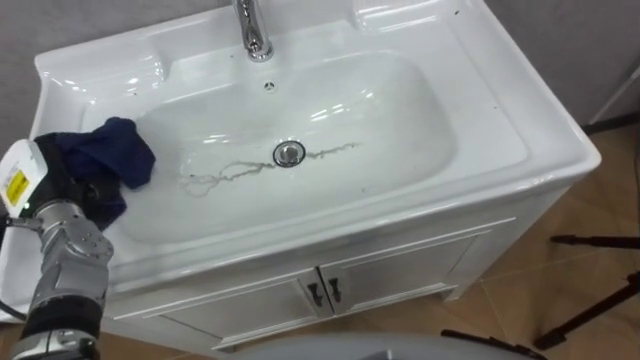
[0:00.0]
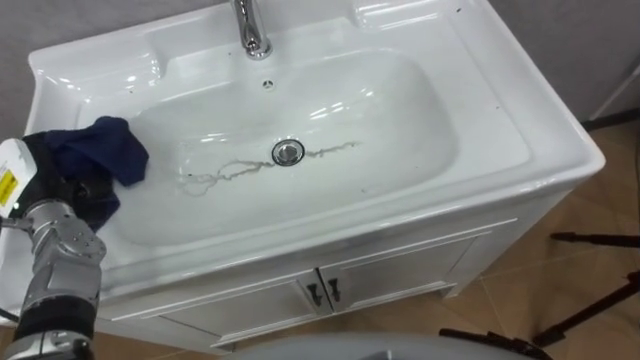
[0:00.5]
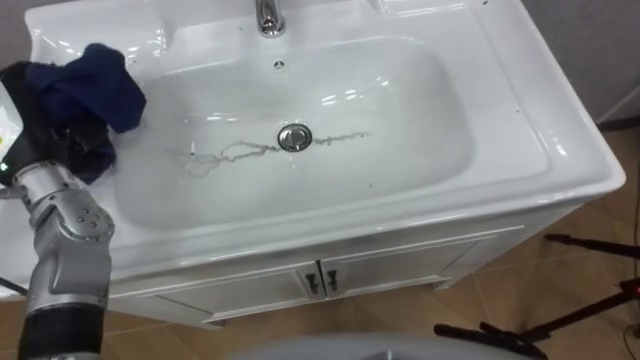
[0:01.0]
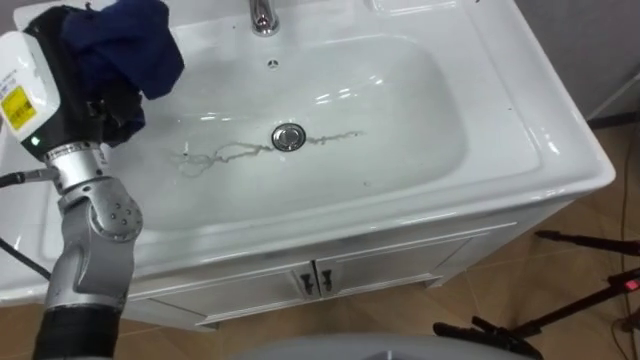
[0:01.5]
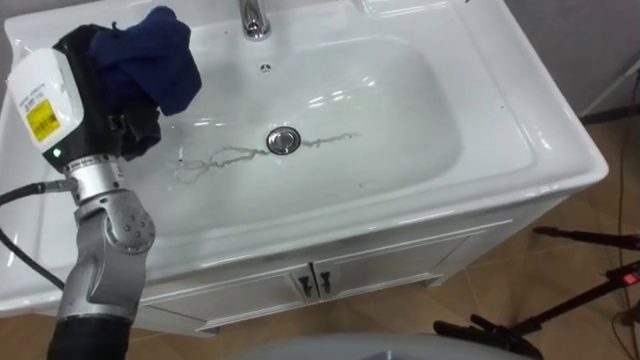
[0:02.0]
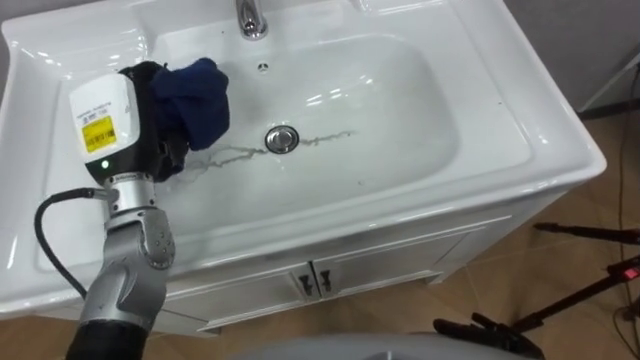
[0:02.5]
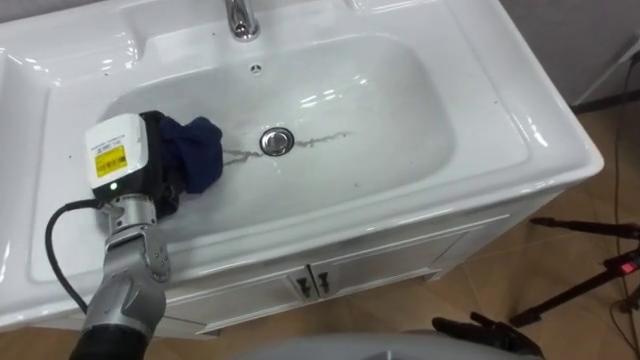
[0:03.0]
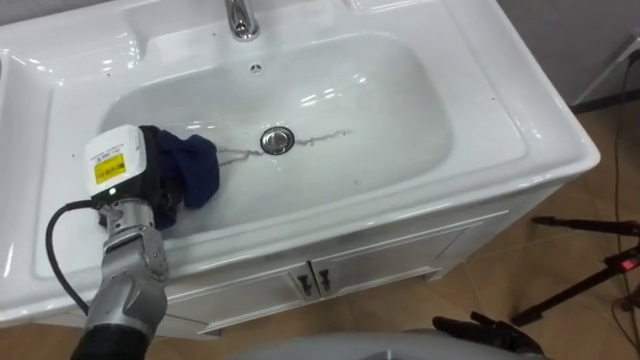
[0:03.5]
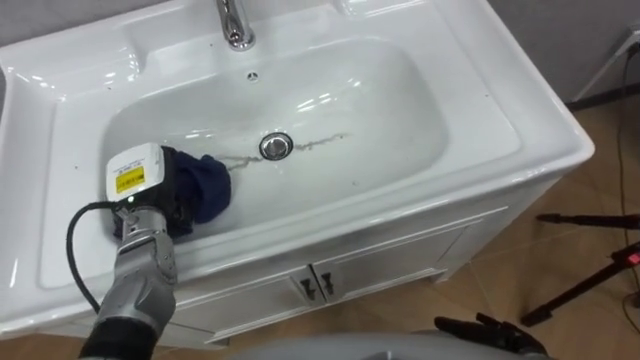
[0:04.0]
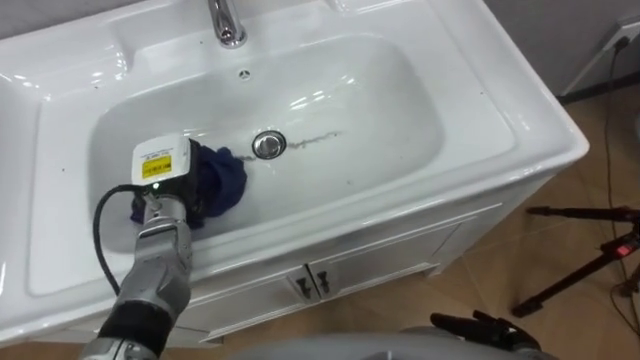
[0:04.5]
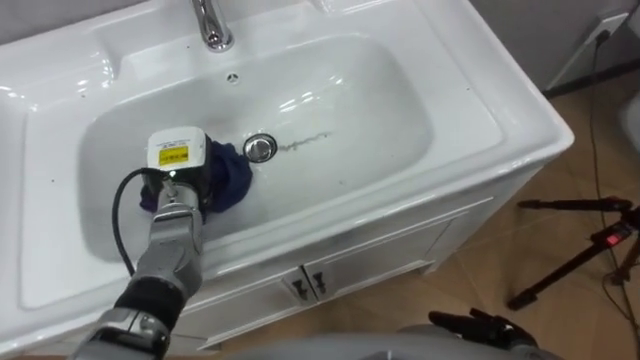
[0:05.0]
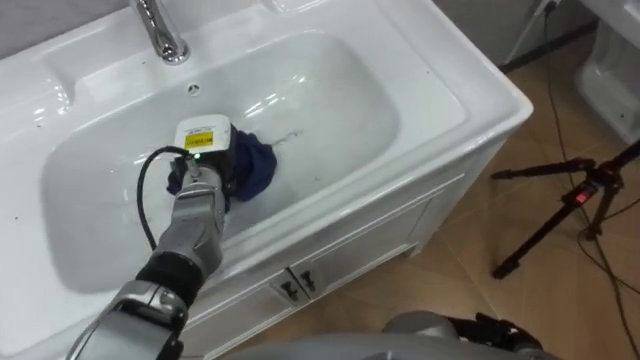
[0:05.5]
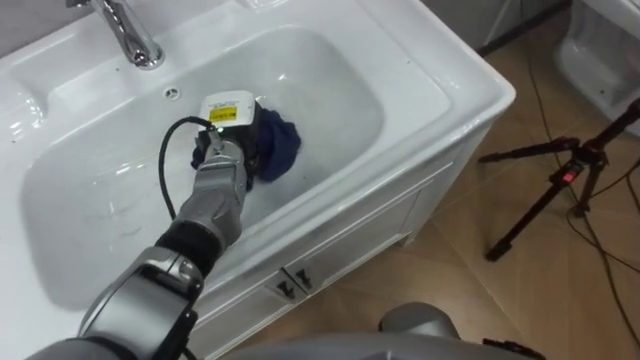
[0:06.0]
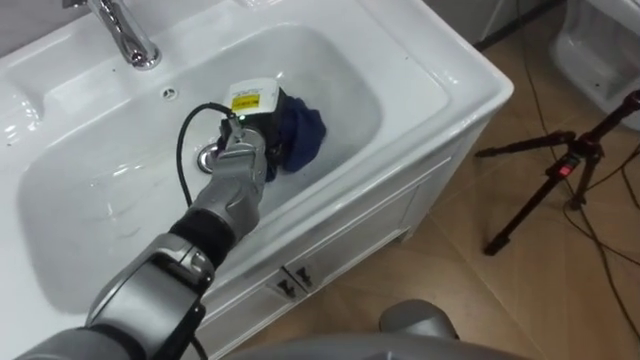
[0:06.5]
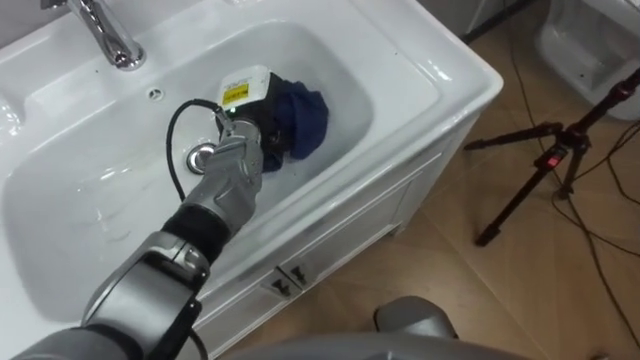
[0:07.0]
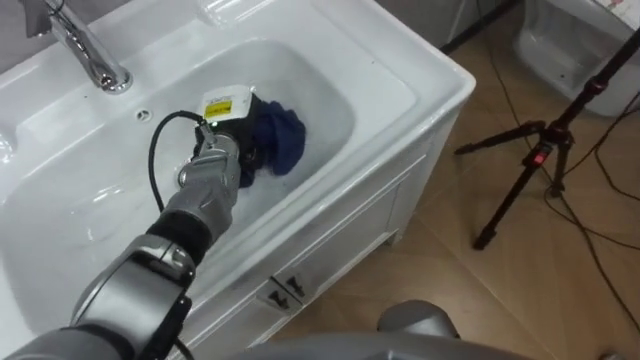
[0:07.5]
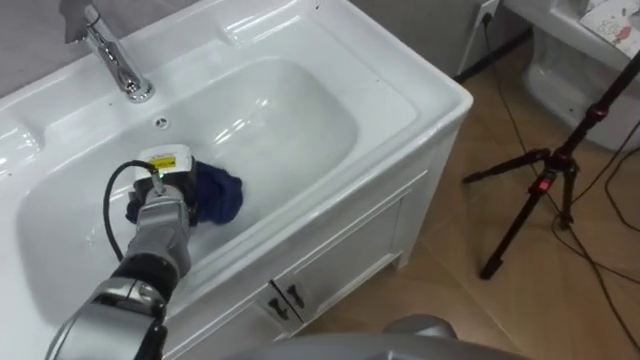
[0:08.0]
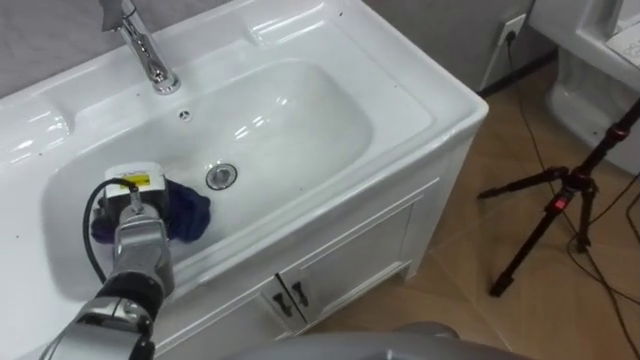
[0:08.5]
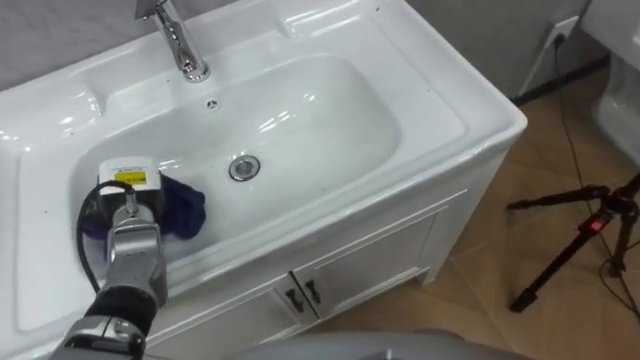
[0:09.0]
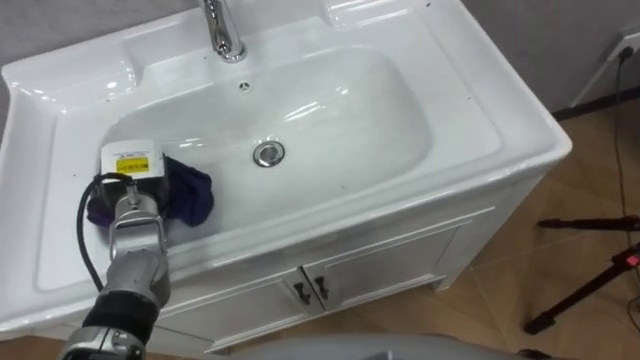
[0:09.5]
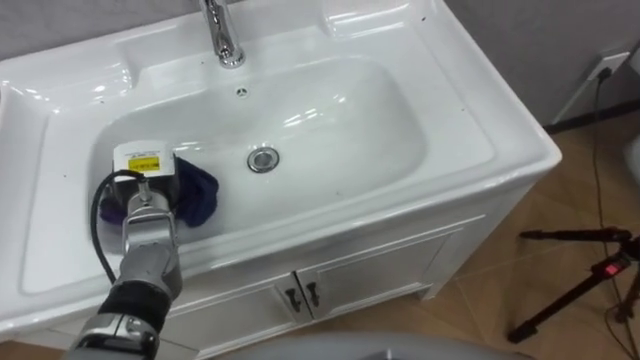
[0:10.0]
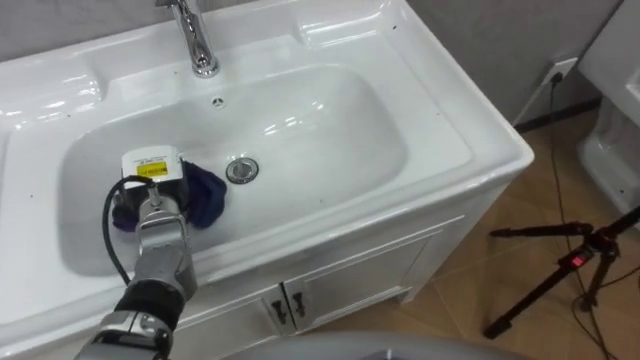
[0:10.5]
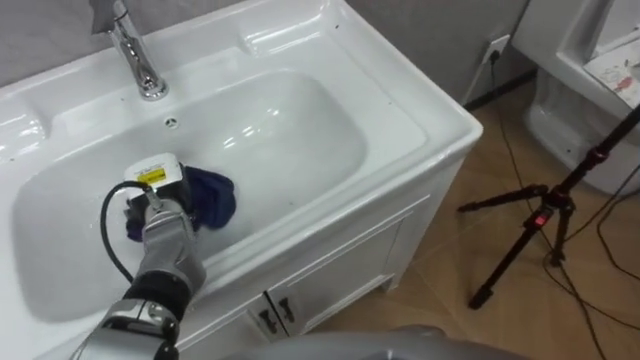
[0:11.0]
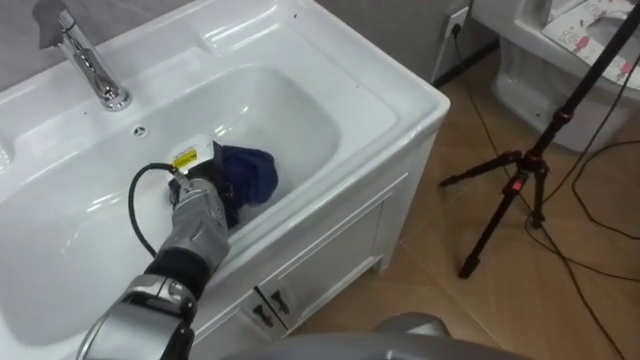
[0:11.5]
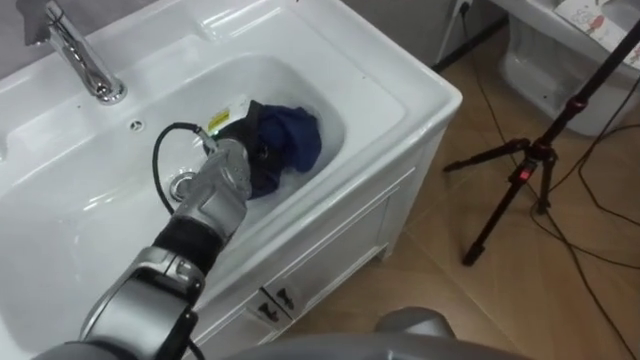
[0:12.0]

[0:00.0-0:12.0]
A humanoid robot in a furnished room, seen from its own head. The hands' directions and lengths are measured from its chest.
Task of the whole recording: Use the cloth on the right to wipe away the black stain in the sink.
0:00.0 to 0:02.0: The left hand moves upward and to the right, approximately 15 cm.
0:02.0 to 0:04.0: The left hand heads downward, covering some 15 cm.
0:04.0 to 0:06.0: The left hand is displaced to the right and forward by about 15 cm.
0:06.0 to 0:08.0: The left hand goes some 15 cm to the left, backward and downward.
0:10.0 to 0:12.0: The left hand travels to the right and forward by roughly 15 cm.

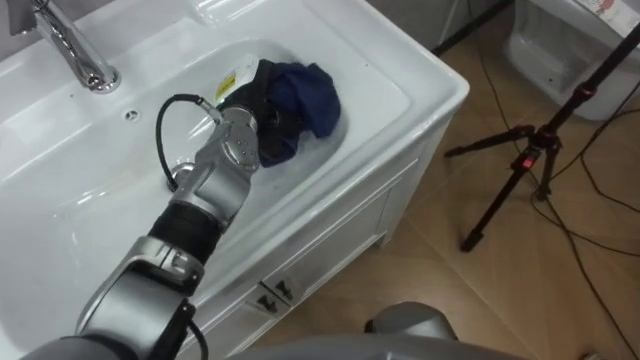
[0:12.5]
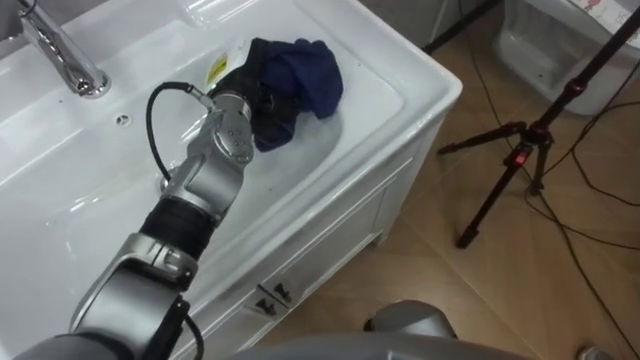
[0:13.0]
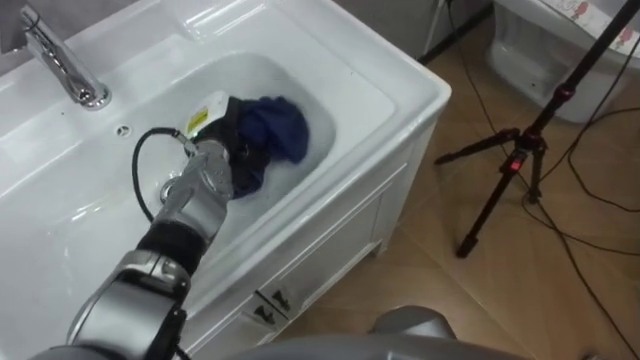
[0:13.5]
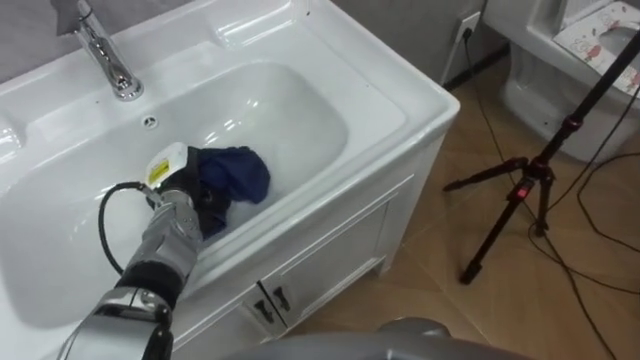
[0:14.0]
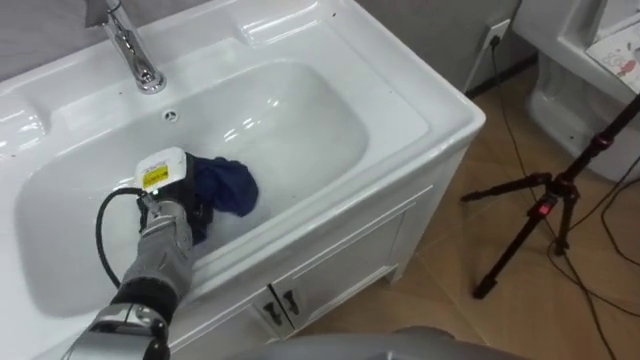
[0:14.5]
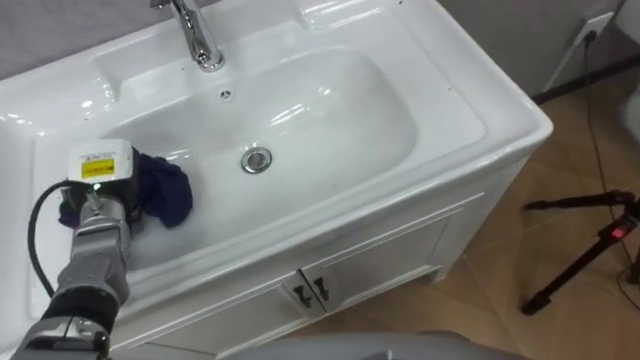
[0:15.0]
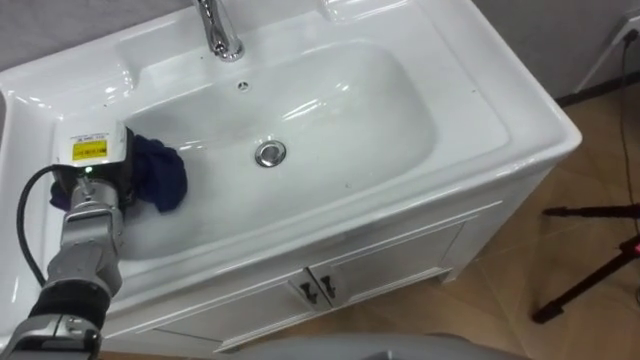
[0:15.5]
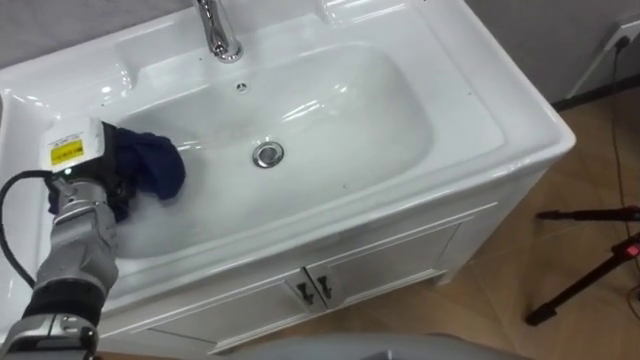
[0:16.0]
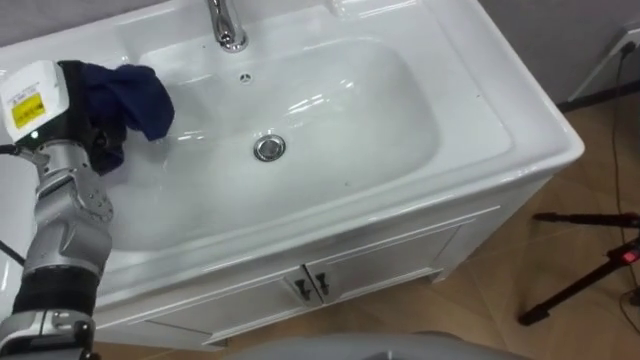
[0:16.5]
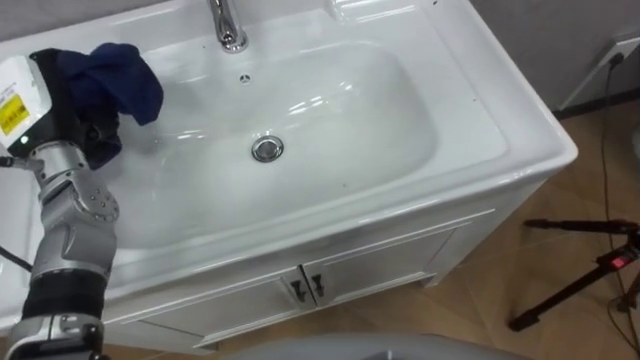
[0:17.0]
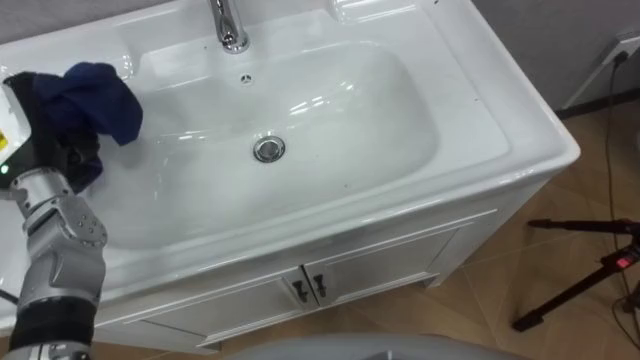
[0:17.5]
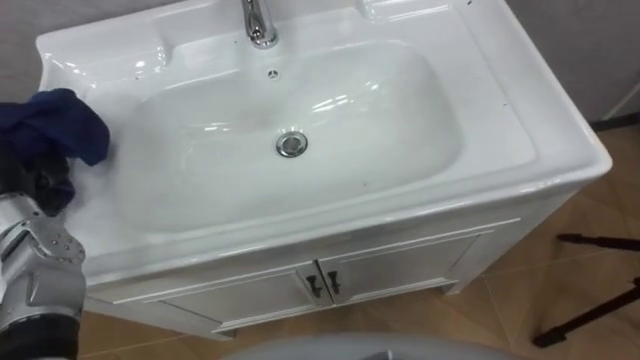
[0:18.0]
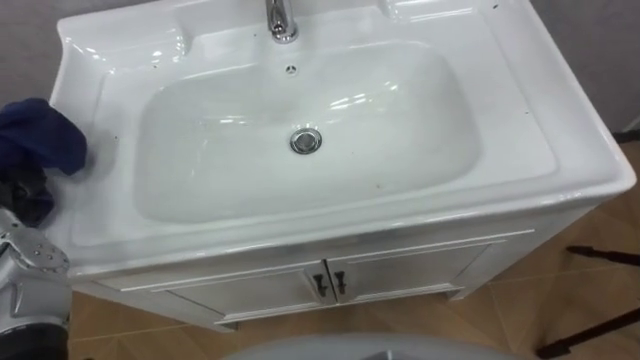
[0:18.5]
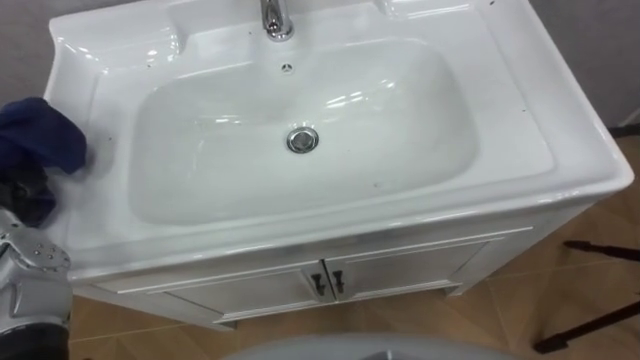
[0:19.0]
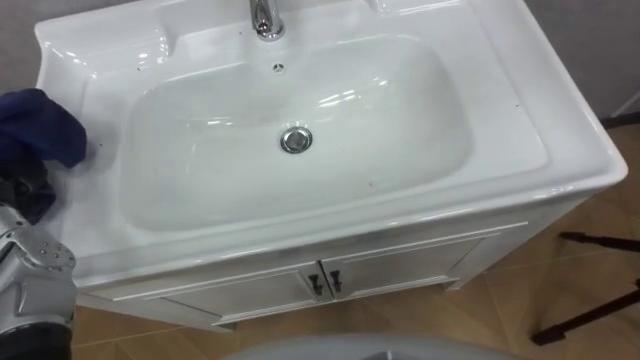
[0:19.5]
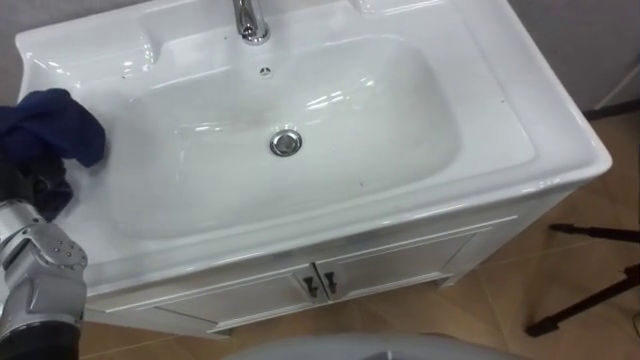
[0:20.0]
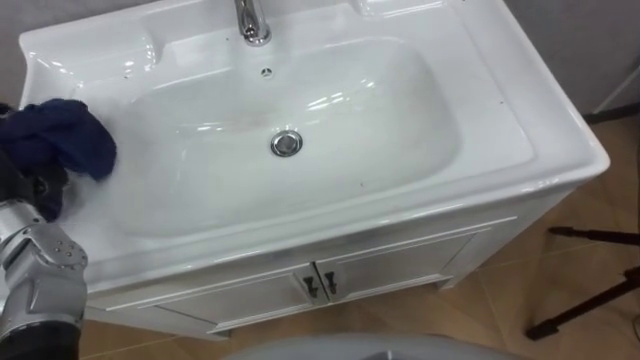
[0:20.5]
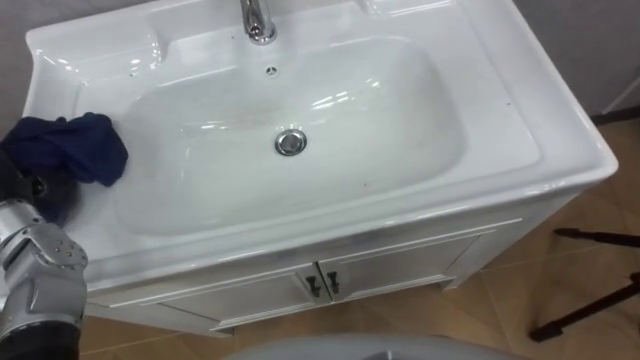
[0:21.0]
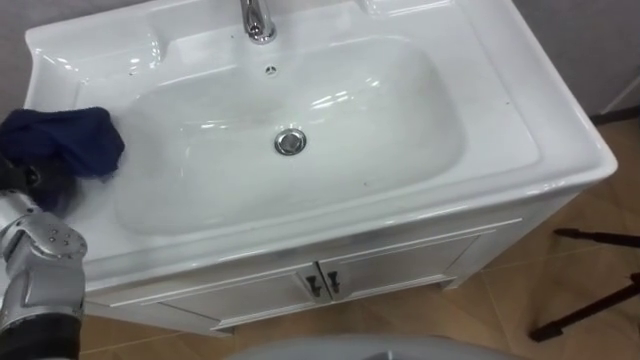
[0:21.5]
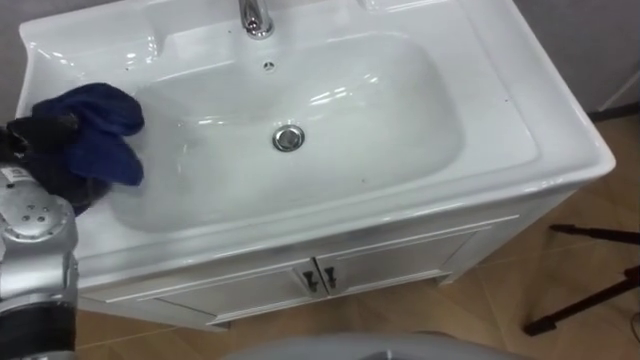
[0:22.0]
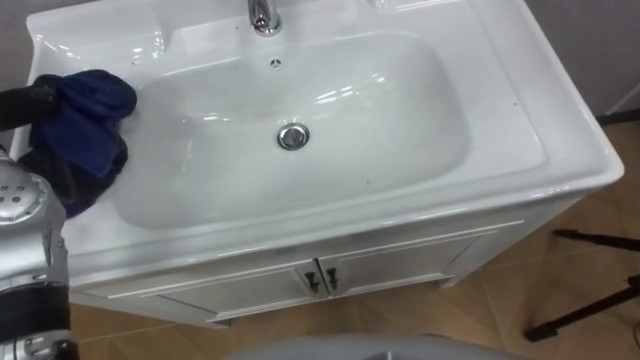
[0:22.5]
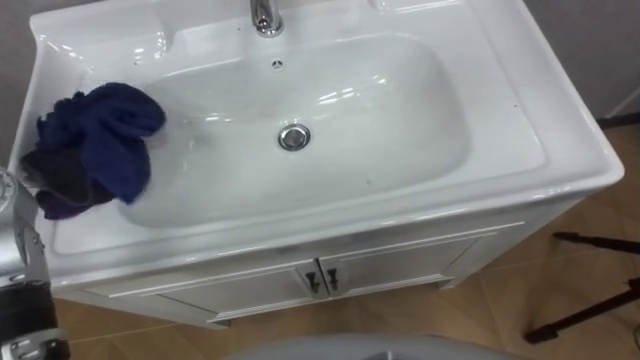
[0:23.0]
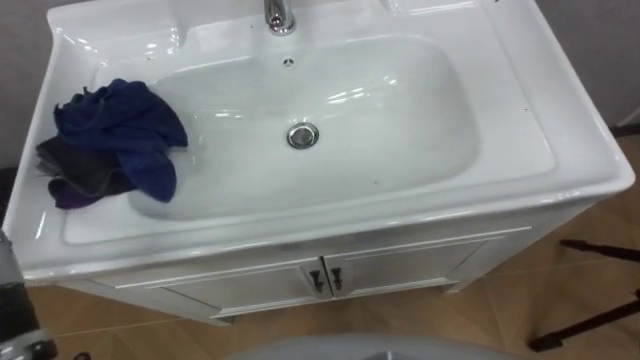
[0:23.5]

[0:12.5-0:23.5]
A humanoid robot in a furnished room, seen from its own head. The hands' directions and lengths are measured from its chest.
Task of the whole recording: Use the cloth on the right to wipe away the black stain in the sink.
0:12.5 to 0:14.5: The left hand is displaced to the left, downward and backward by some 20 cm.
0:14.5 to 0:16.0: The left hand moves to the left and upward, roughly 10 cm.
